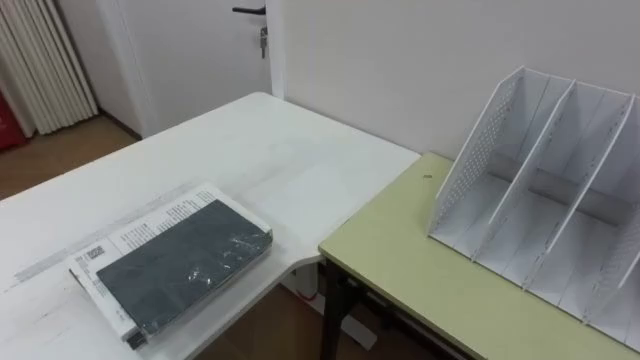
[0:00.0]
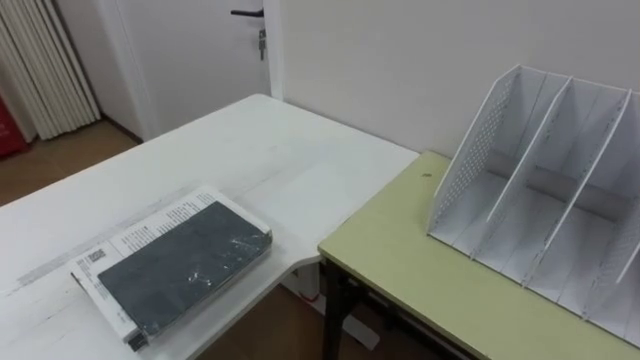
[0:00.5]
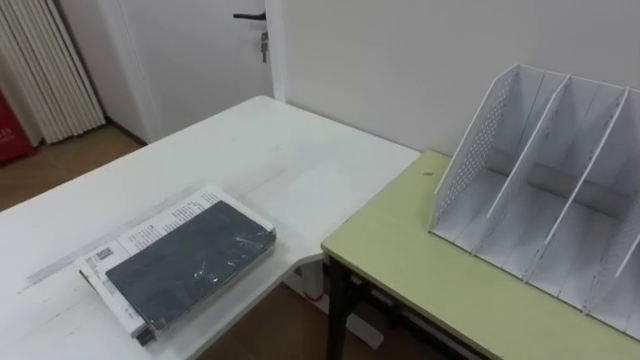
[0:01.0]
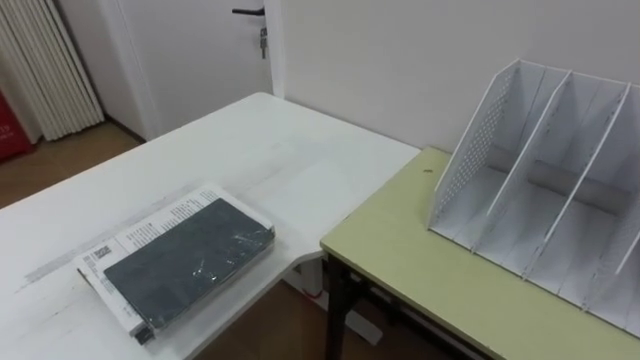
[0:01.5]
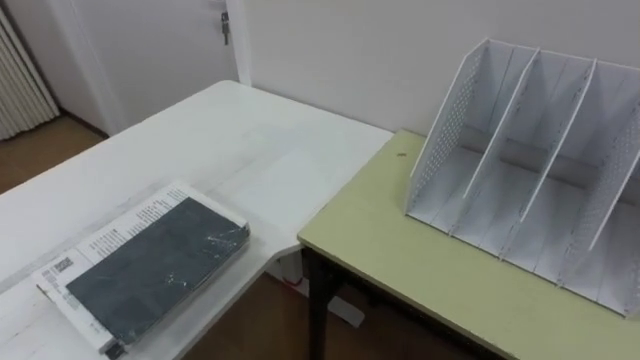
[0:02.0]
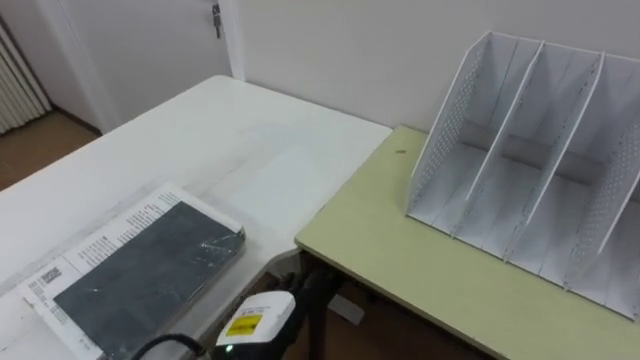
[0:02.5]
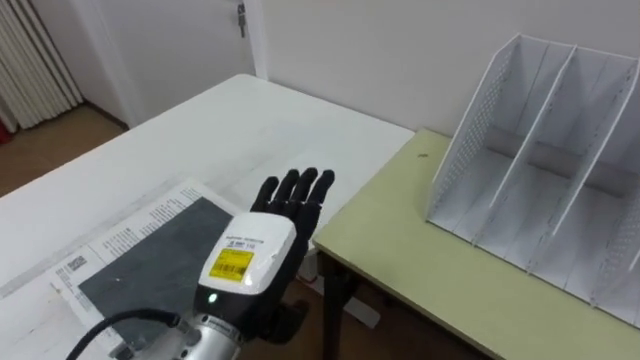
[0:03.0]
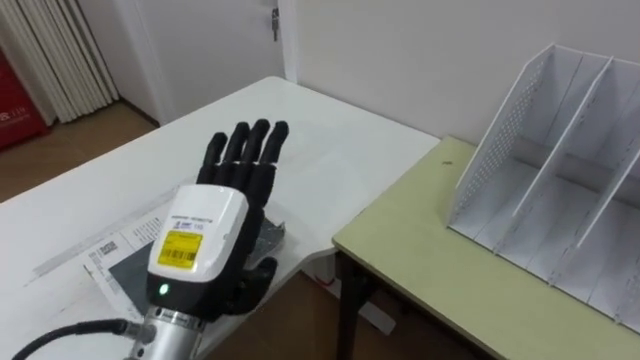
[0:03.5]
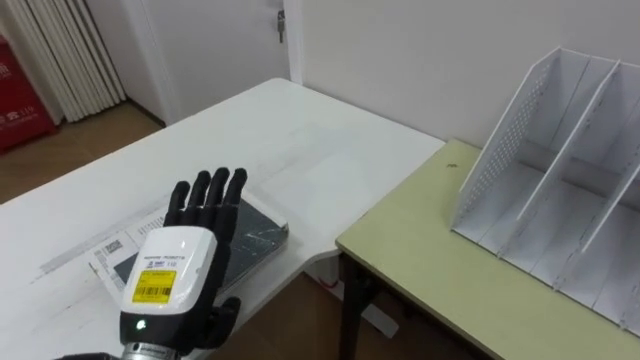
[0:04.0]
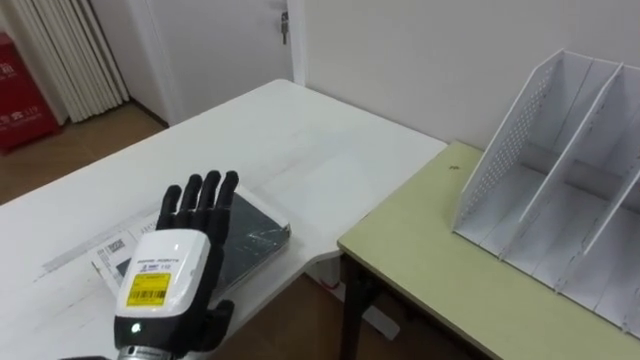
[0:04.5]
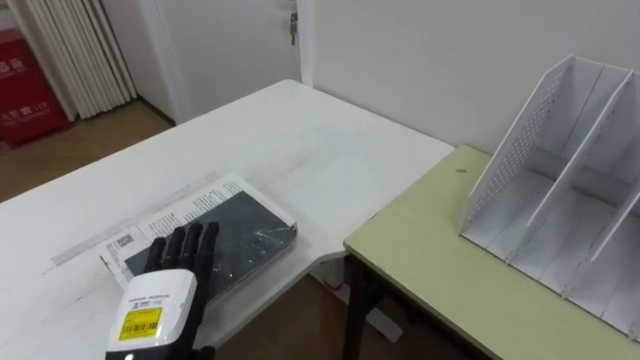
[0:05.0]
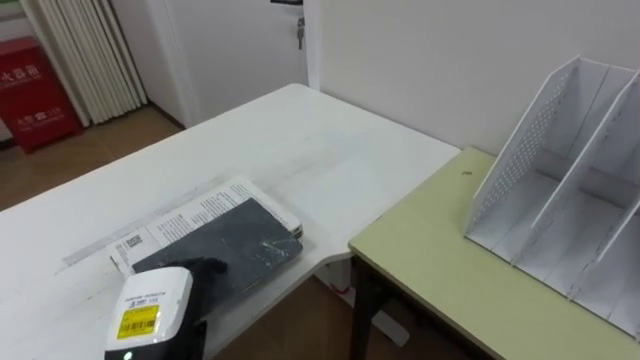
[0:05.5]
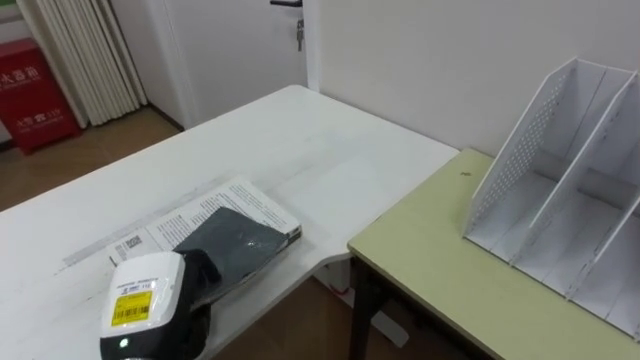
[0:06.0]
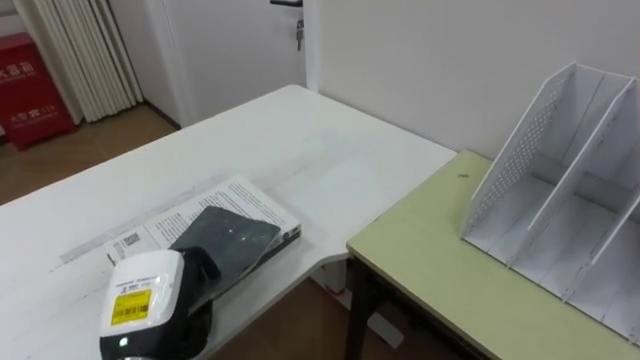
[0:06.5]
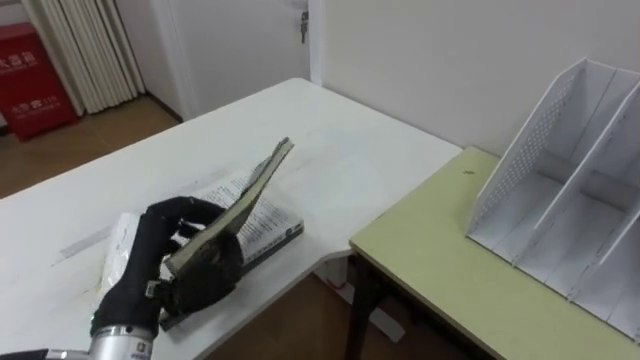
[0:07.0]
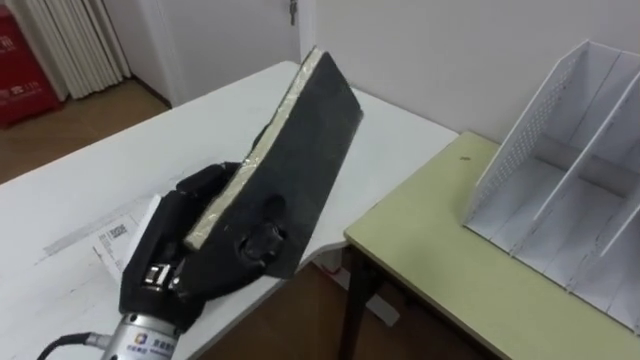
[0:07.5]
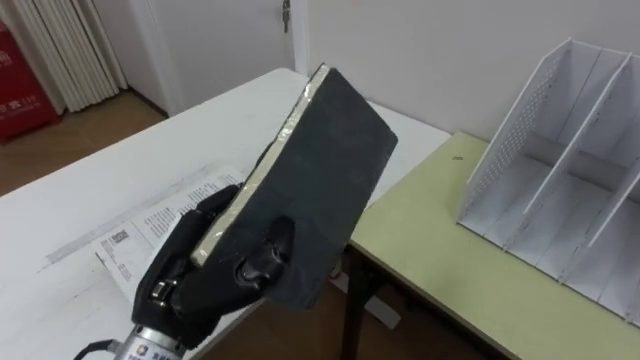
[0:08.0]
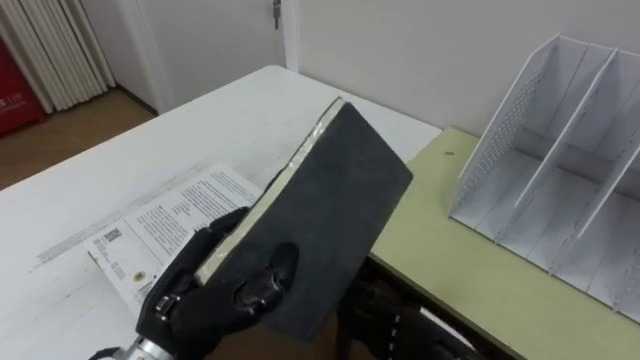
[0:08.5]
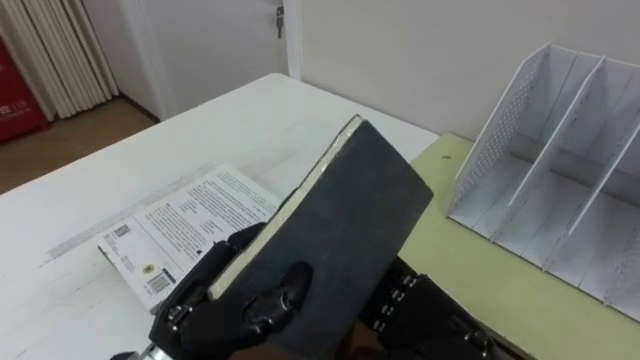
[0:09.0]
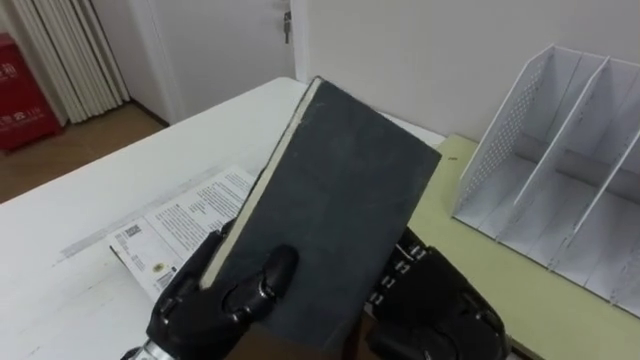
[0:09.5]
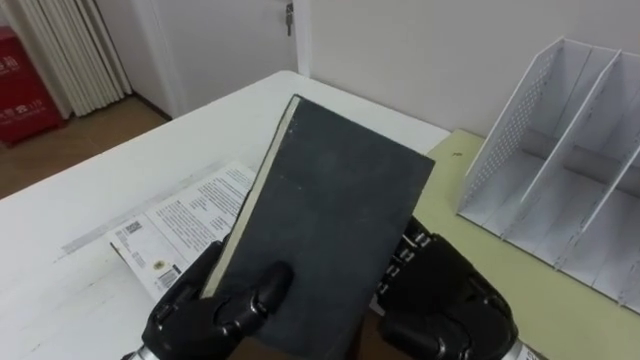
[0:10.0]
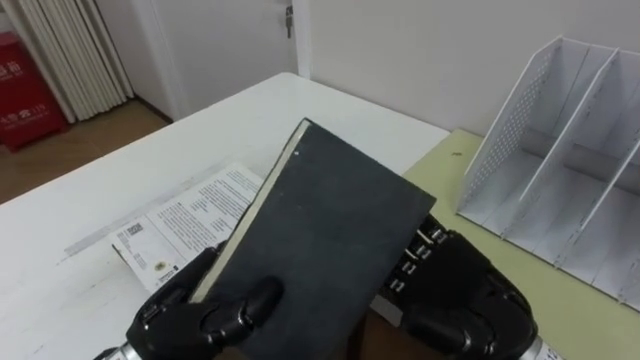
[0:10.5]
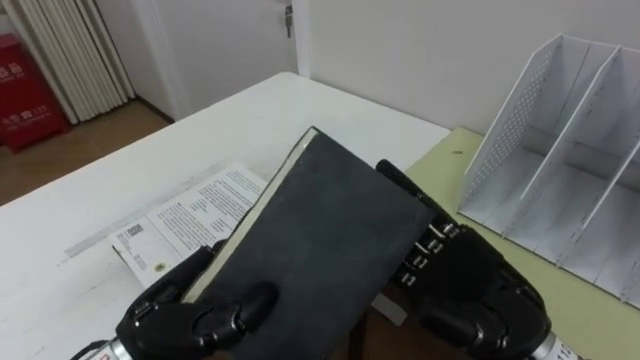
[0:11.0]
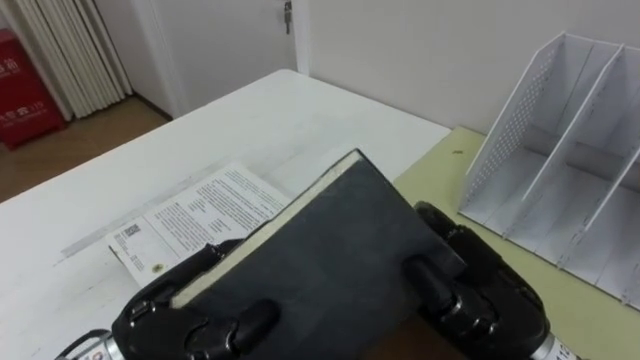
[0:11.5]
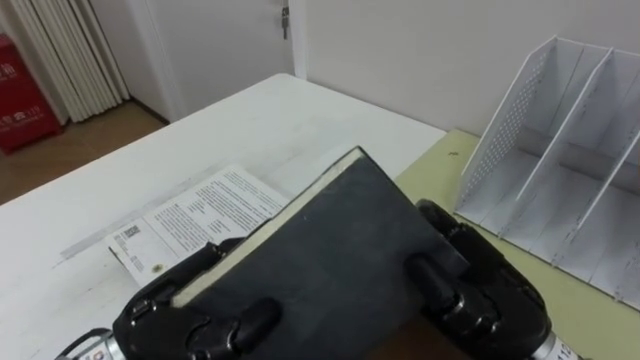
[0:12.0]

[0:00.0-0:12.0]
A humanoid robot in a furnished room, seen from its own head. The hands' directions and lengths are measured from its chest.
Task of the whole recording: Put the books on the table onto the bookshelf.
0:04.0 to 0:06.0: The left hand heads downward, covering approximately 5 cm, and closes.
0:06.0 to 0:08.0: The left hand travels upward and to the right by approximately 10 cm.
0:10.0 to 0:12.0: The right hand closes.

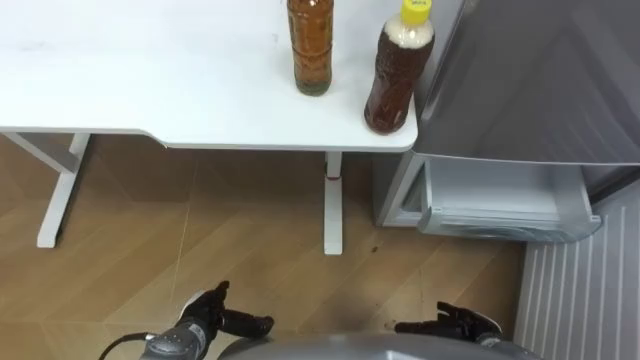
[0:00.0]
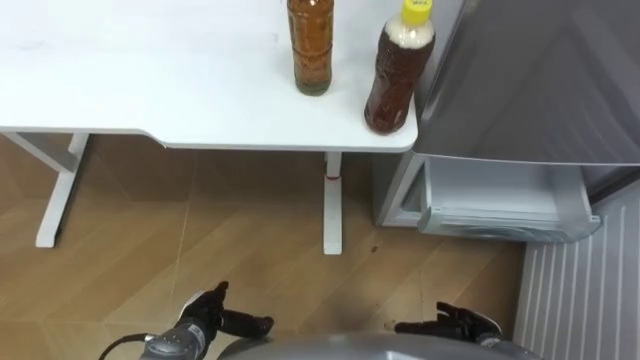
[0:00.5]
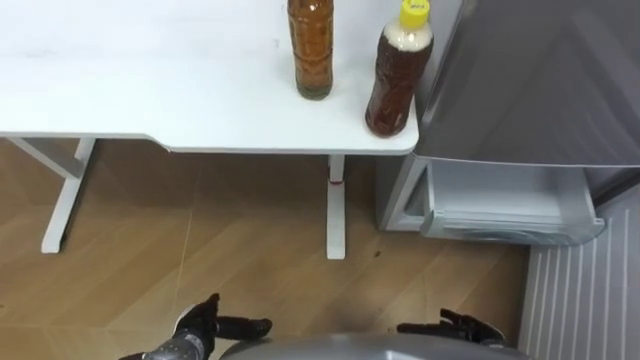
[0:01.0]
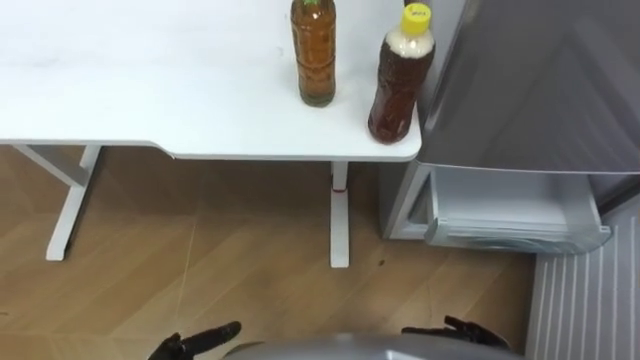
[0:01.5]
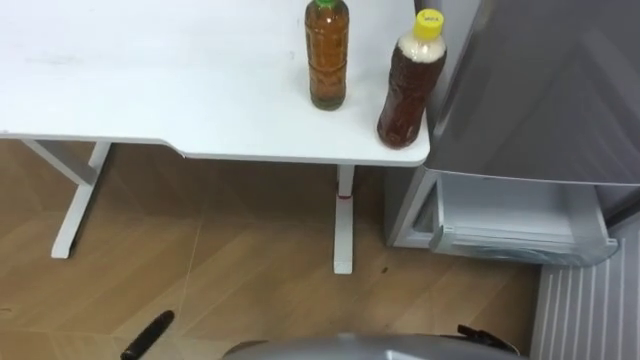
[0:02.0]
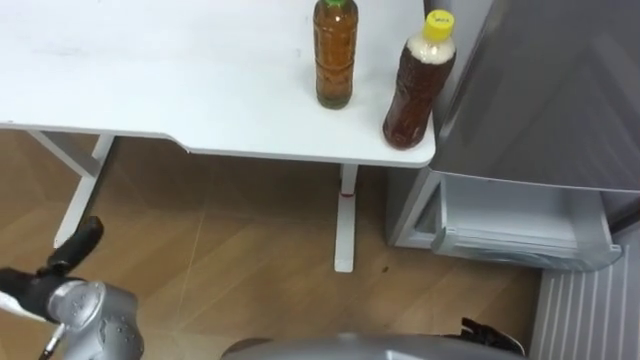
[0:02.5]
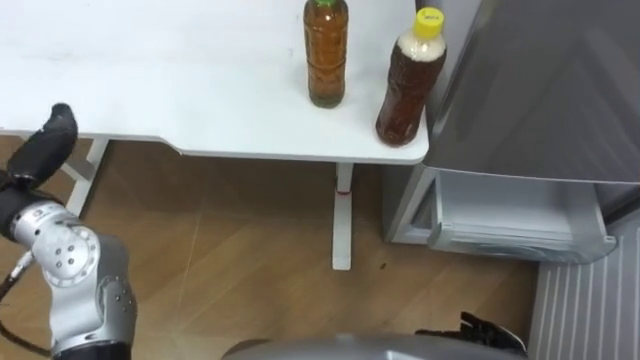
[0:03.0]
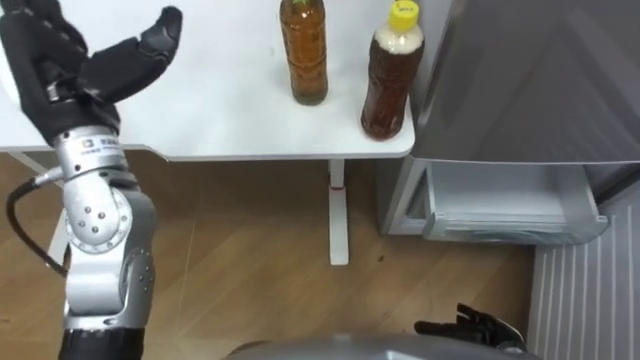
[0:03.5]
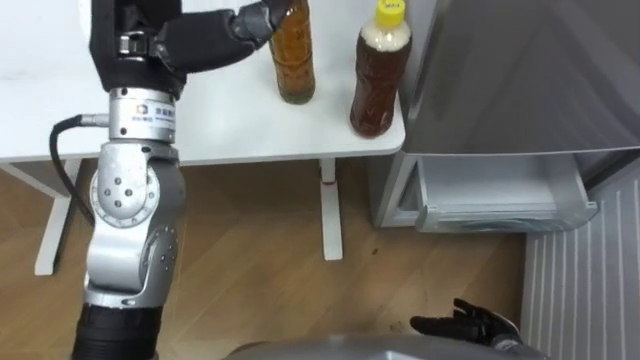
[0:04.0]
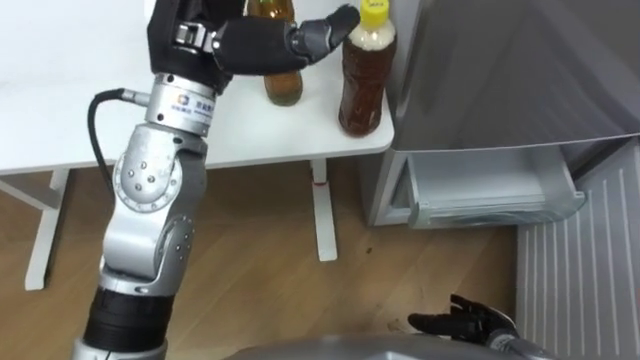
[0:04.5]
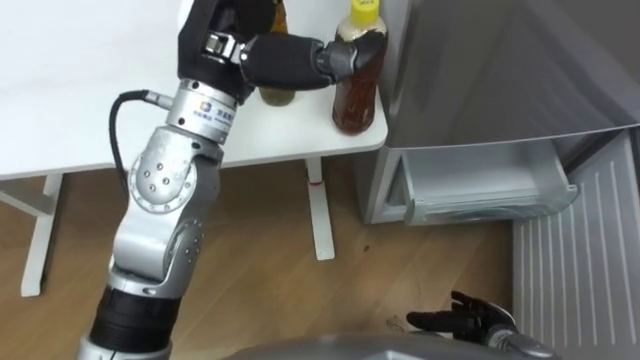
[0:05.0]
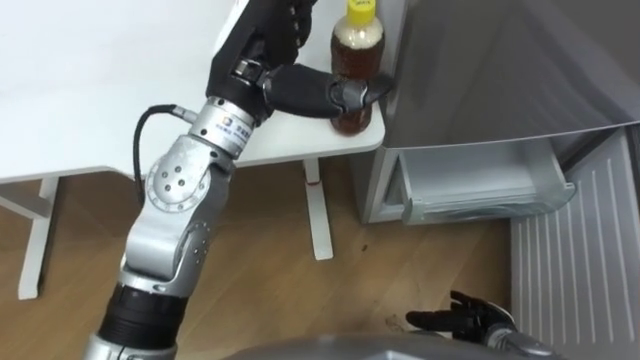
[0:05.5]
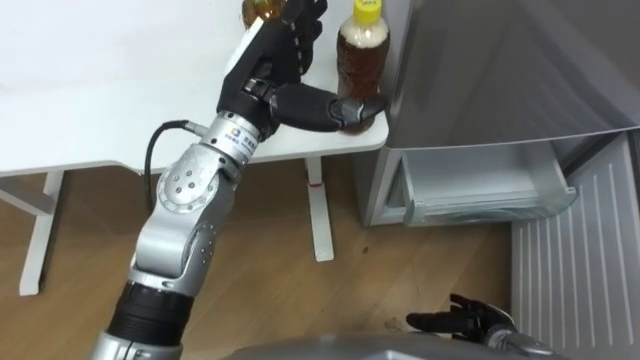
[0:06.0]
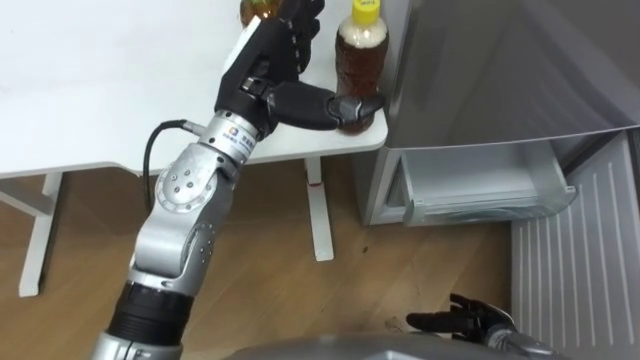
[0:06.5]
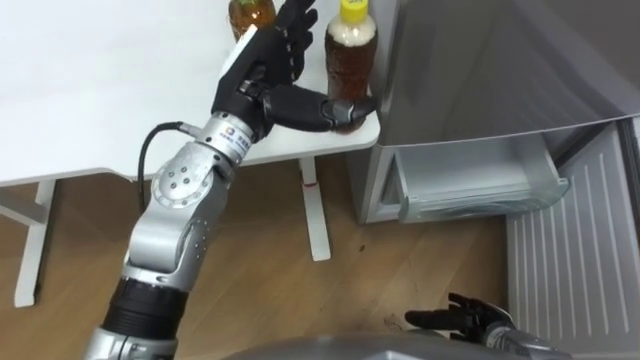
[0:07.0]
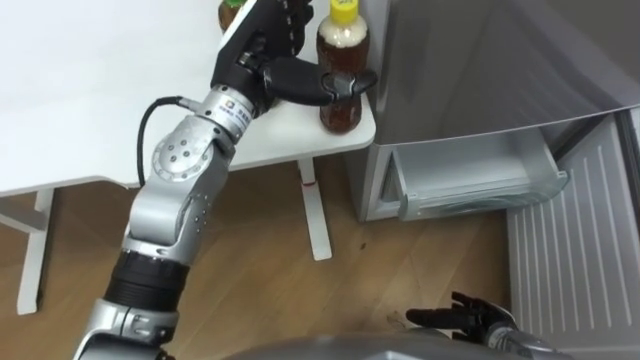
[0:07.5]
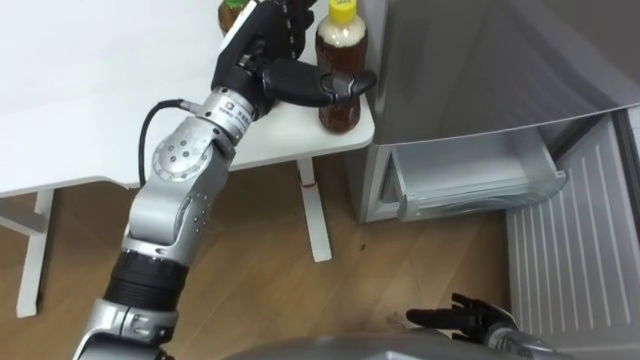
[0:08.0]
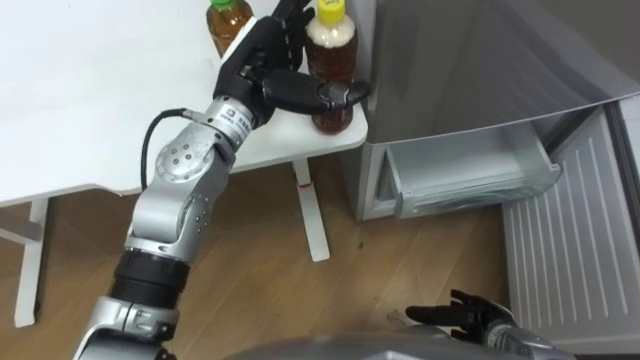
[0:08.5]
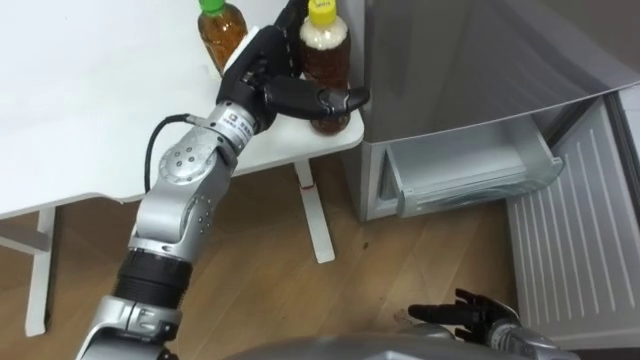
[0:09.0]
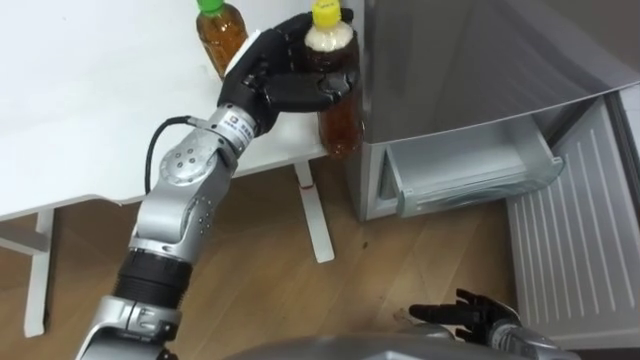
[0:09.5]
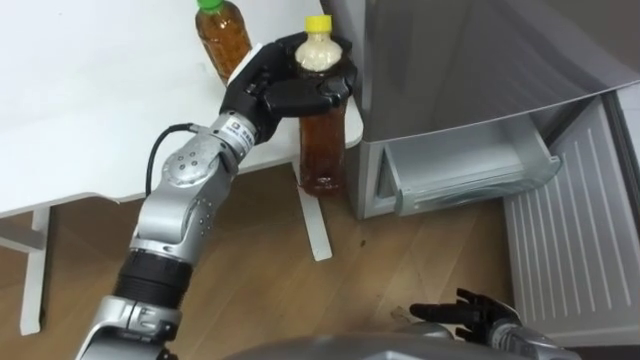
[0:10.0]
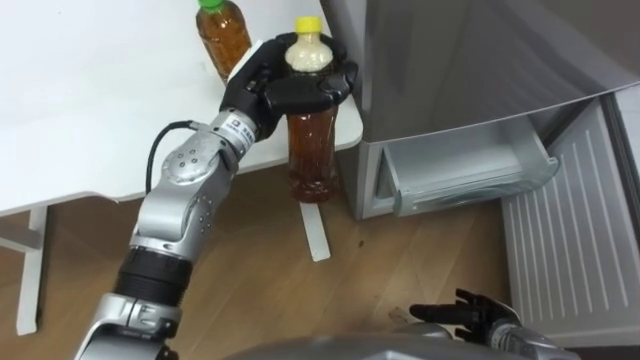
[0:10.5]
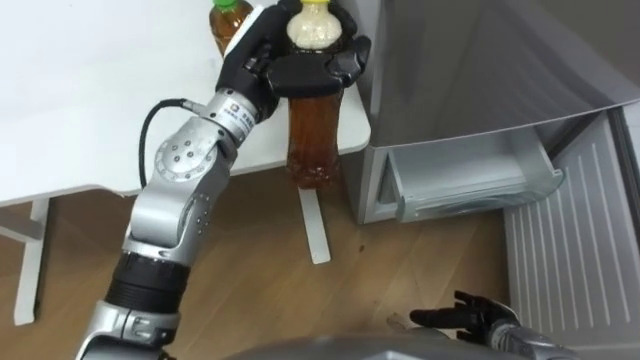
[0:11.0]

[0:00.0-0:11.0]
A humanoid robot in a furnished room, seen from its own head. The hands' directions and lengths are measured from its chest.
Task of the whole recording: Place the drink on the table on the bottom shelf of the refrigerator, then close the drawer and the refrigerator door.
0:03.5 to 0:05.5: The left hand travels to the right by some 20 cm.
0:09.0 to 0:11.0: The left hand closes up.
